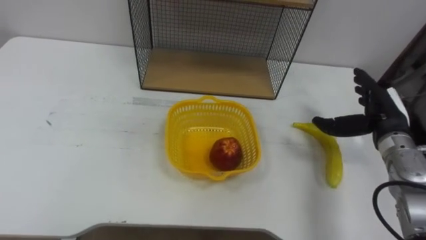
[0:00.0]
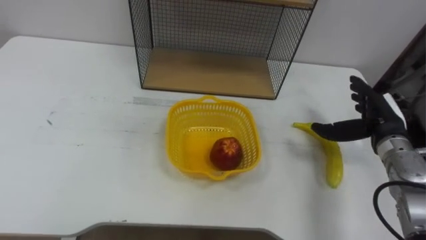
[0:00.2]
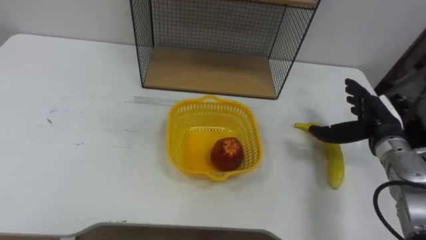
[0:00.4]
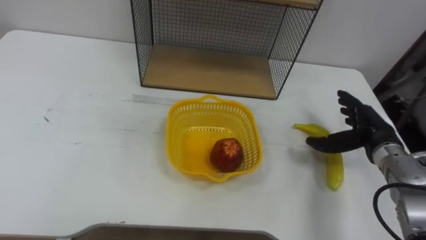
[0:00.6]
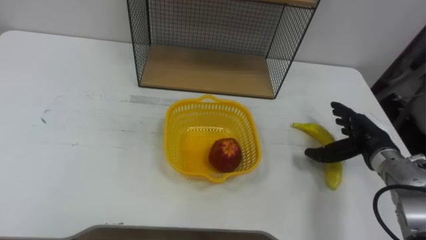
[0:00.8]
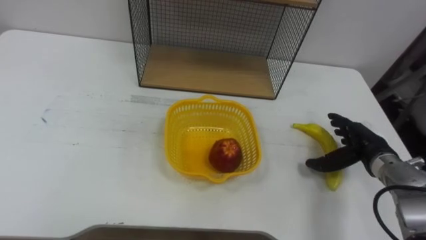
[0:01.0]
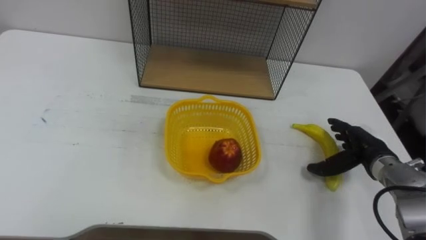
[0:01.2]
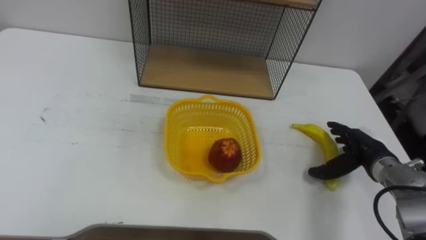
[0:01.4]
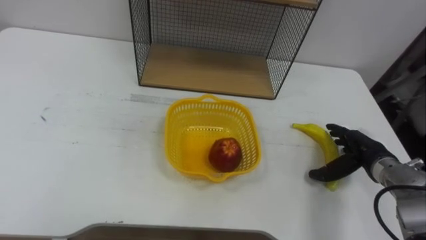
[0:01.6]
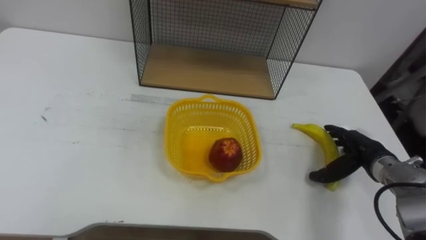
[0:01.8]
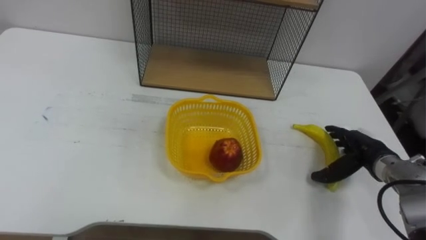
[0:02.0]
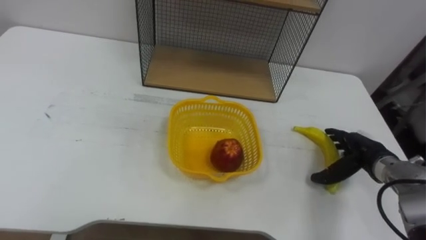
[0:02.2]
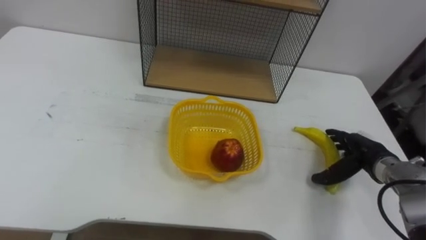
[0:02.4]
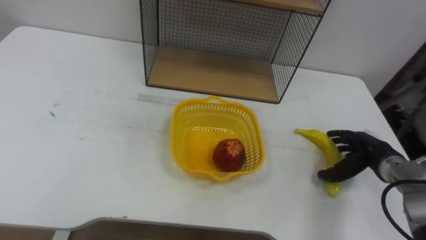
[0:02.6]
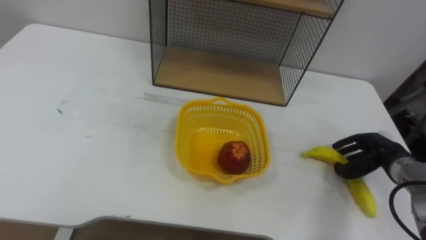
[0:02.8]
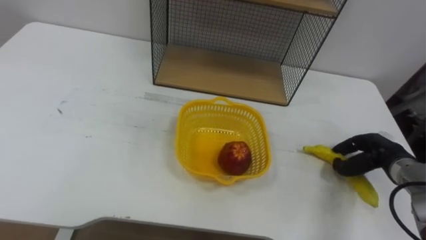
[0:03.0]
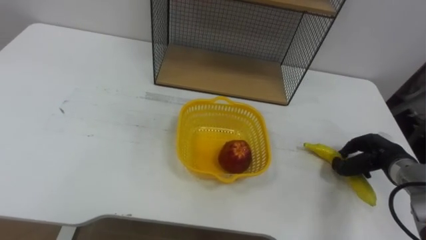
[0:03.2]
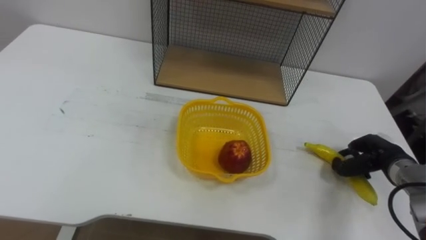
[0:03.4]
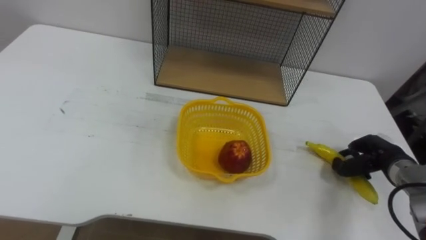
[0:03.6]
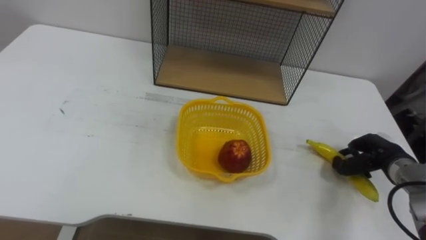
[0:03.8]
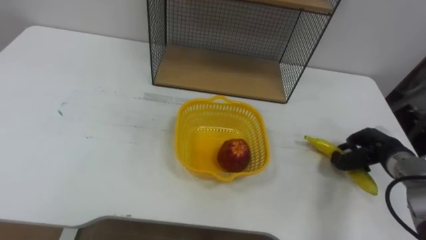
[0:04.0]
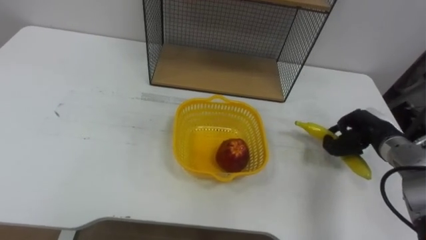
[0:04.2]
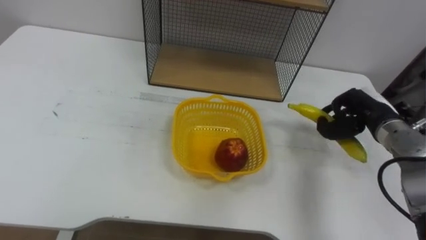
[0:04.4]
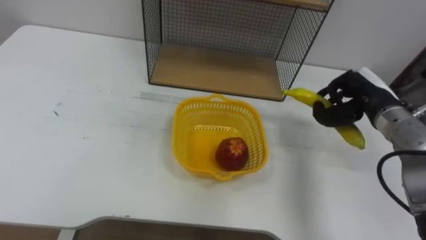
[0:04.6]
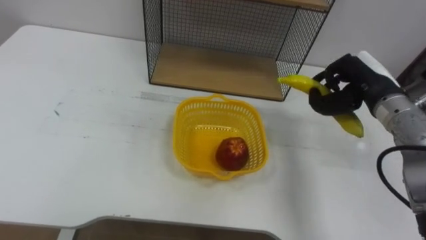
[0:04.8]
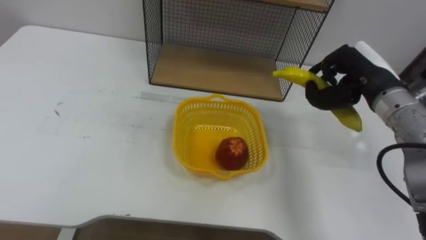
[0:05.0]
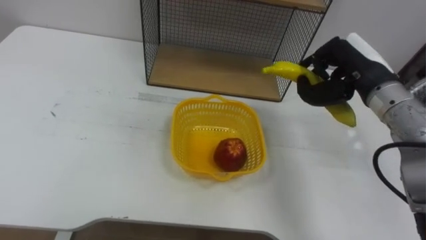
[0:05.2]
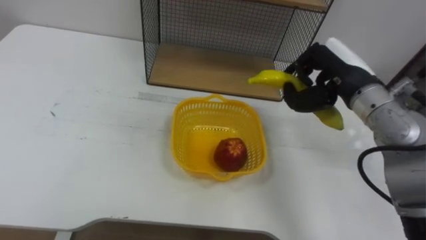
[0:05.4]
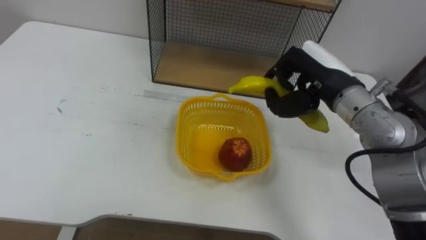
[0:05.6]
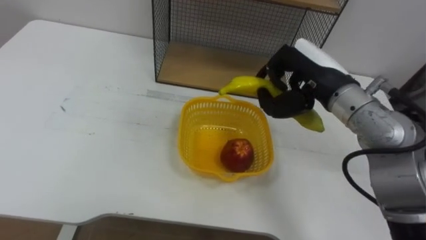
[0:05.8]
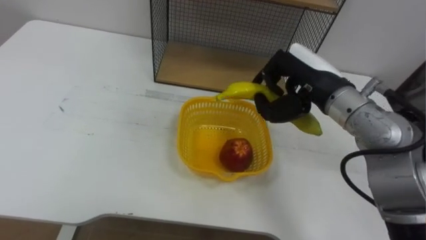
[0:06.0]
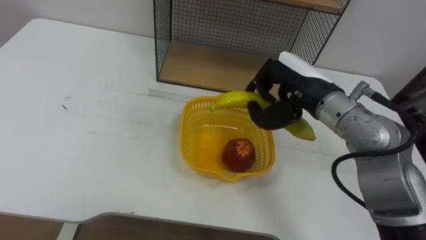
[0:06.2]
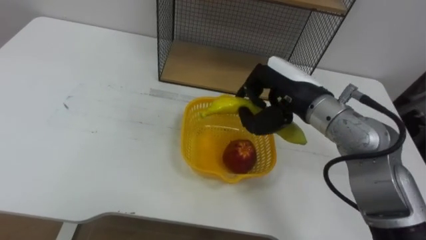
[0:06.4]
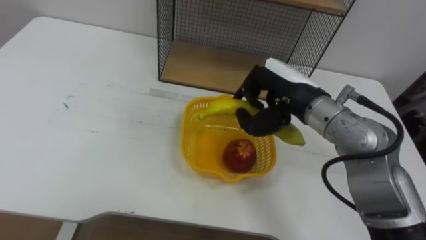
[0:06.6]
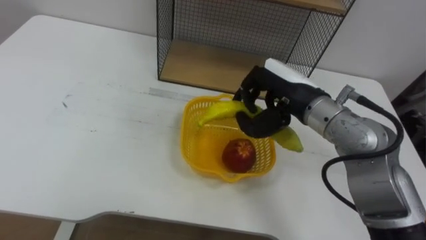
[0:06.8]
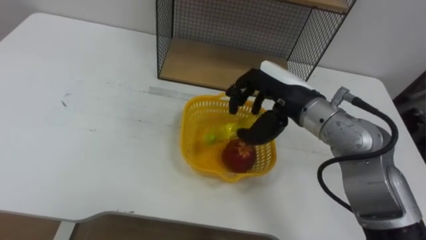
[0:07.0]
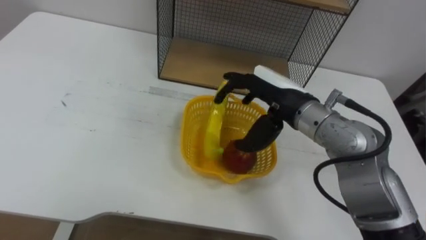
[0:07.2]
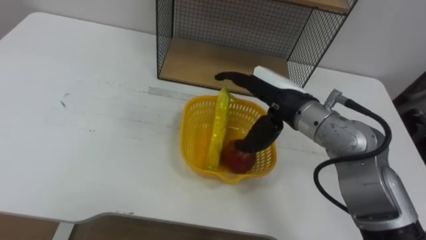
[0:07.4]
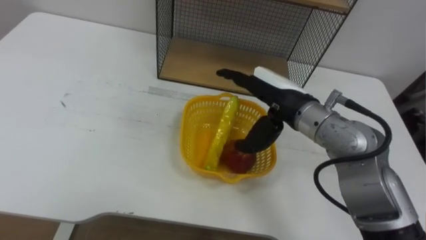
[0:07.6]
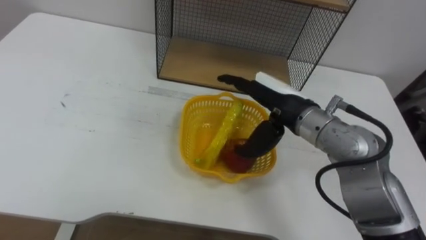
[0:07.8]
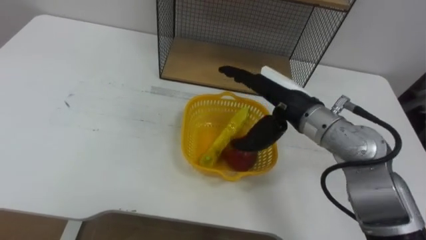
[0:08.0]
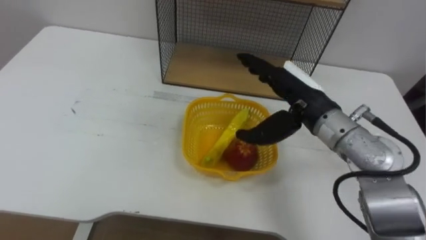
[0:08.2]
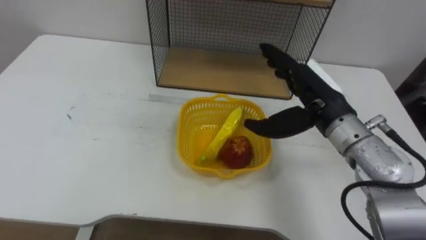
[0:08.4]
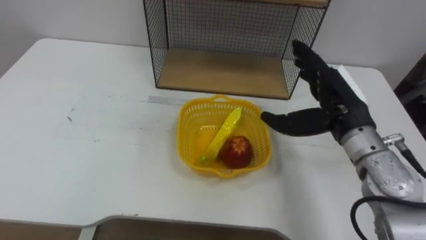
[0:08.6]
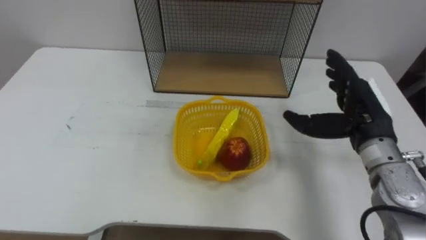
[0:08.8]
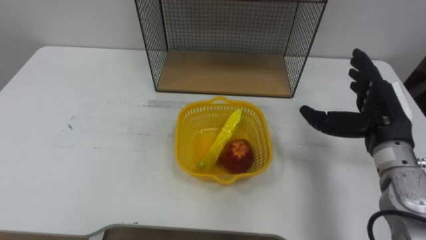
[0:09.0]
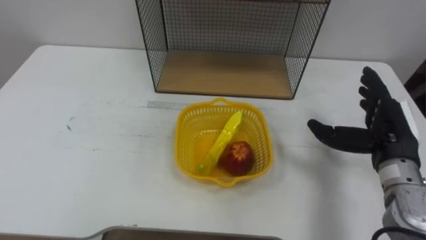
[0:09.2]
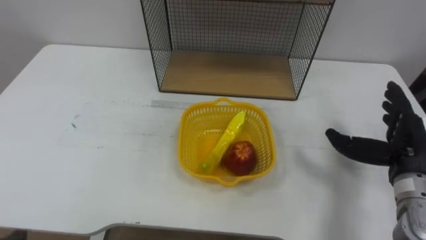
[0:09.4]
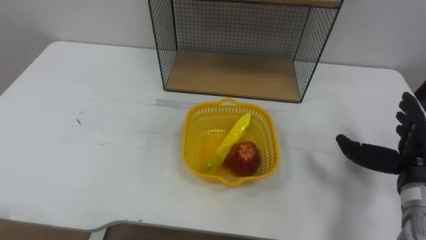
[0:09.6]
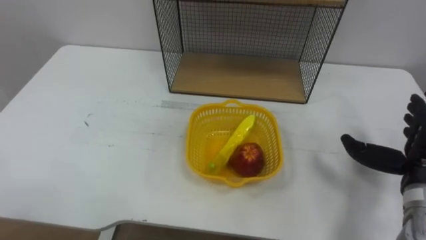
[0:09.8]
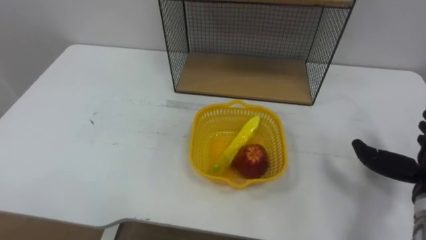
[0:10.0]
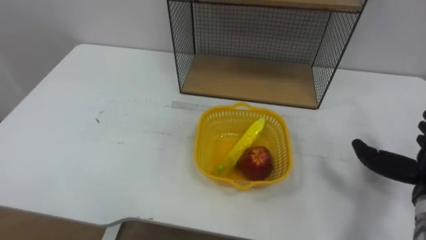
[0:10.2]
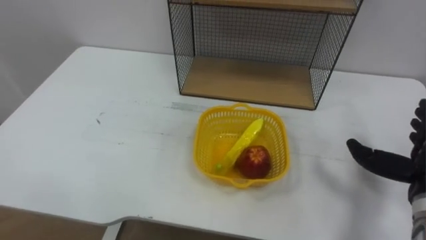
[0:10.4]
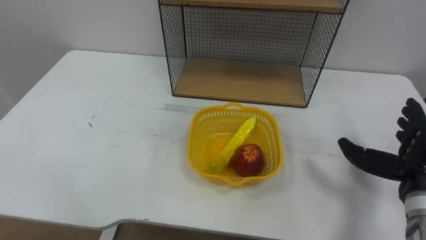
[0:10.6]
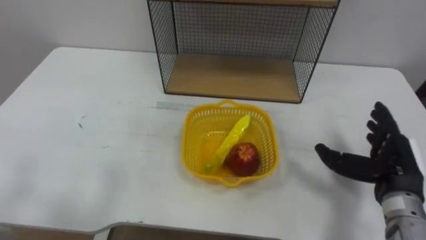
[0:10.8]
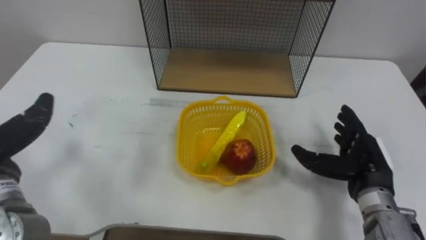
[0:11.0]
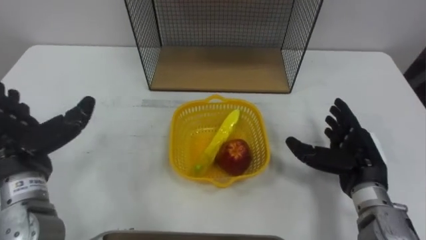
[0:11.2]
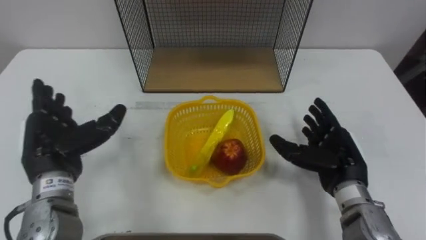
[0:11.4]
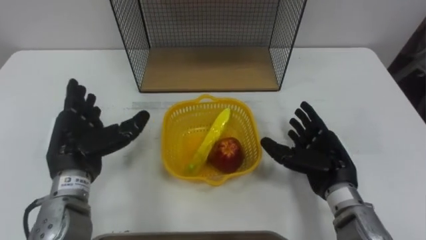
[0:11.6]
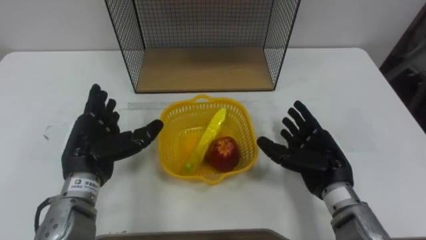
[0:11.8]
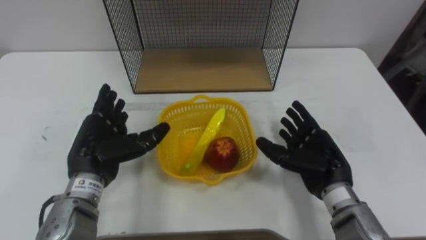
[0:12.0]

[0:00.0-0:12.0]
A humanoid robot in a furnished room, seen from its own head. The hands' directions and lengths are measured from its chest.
Task of the whole recording: Put the fruit on the table into the basket, then place the basket on the shelf.
0:00.0 to 0:01.6: The right hand moves downward, approximately 10 cm.
0:01.6 to 0:03.0: The right hand closes.
0:03.0 to 0:04.4: The right hand moves upward, roughly 10 cm.
0:04.4 to 0:06.0: The right hand goes approximately 15 cm to the left and upward.
0:06.0 to 0:07.6: The right hand changes place by some 5 cm, and opens up.
0:07.6 to 0:09.0: The right hand heads to the right, covering approximately 15 cm.

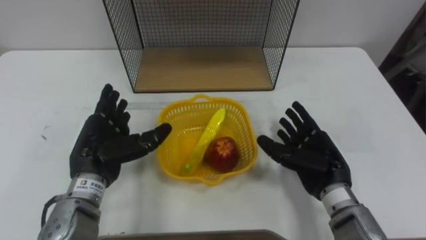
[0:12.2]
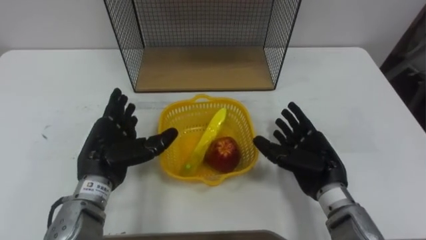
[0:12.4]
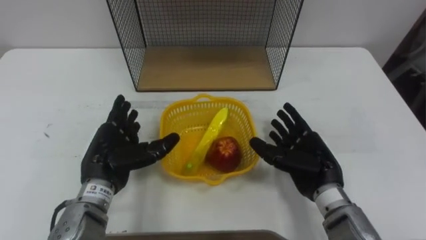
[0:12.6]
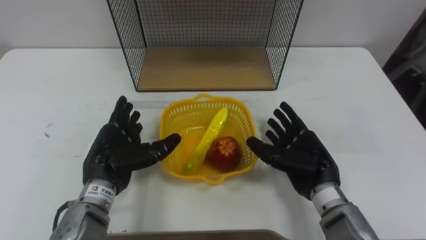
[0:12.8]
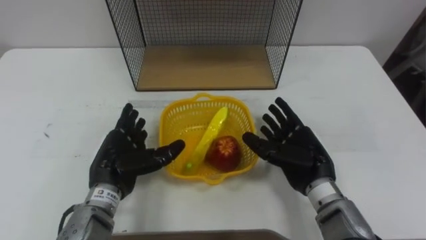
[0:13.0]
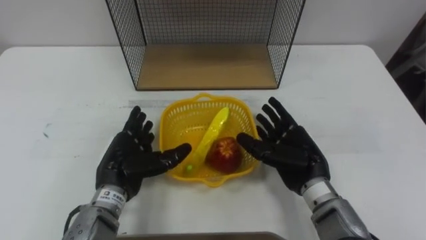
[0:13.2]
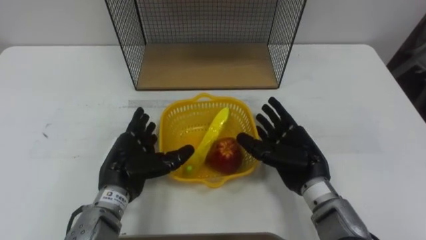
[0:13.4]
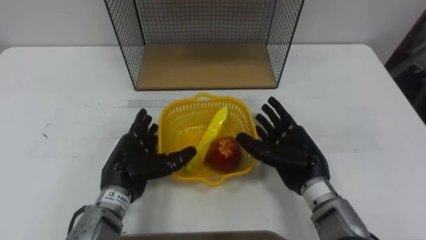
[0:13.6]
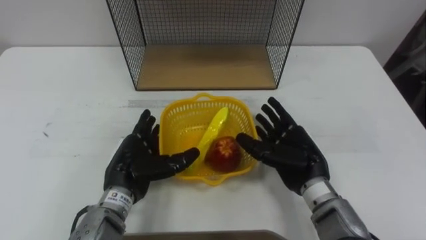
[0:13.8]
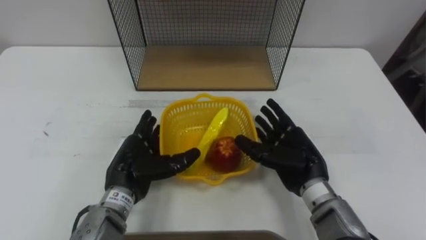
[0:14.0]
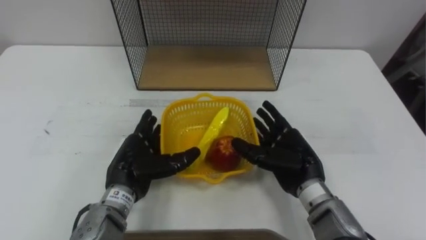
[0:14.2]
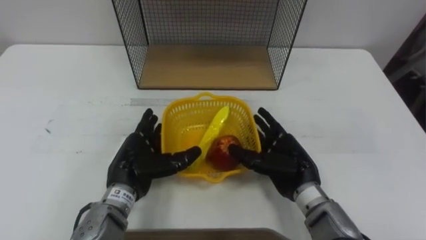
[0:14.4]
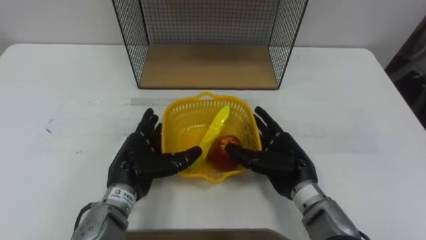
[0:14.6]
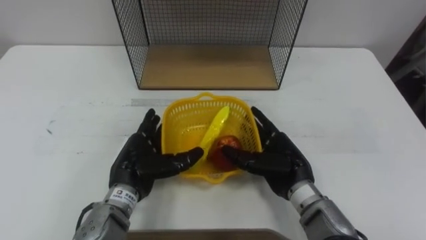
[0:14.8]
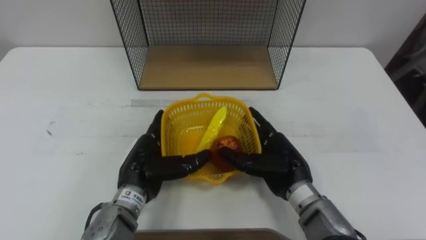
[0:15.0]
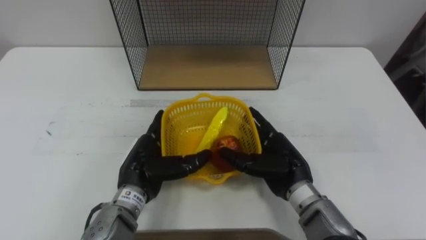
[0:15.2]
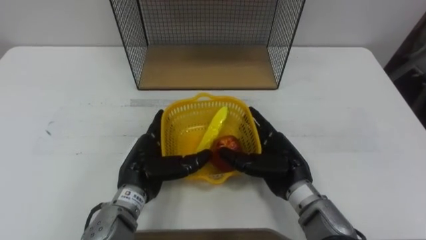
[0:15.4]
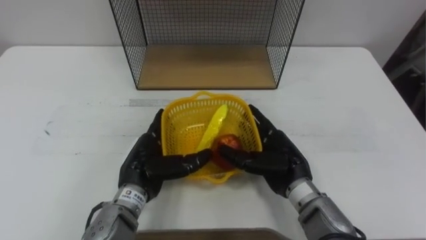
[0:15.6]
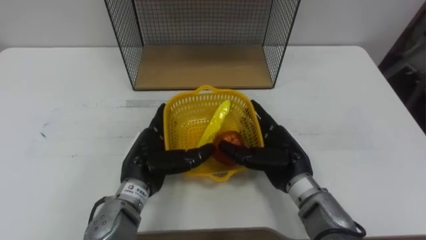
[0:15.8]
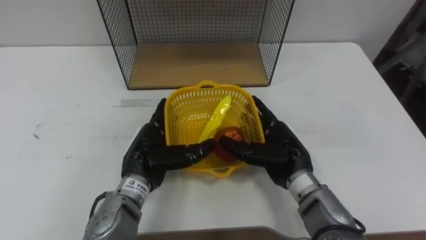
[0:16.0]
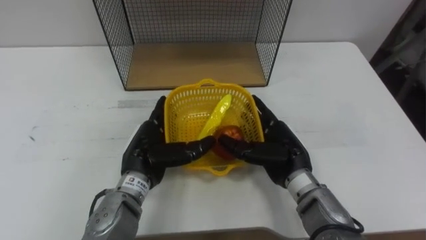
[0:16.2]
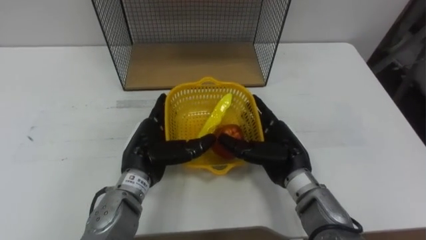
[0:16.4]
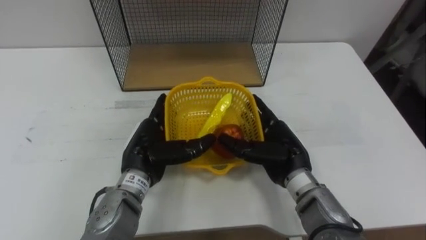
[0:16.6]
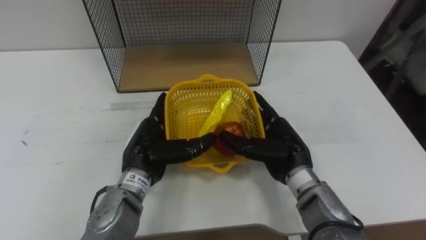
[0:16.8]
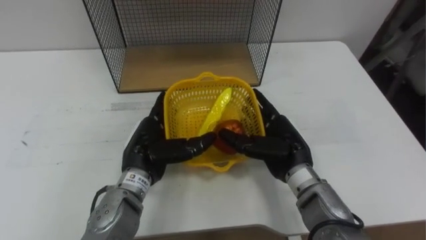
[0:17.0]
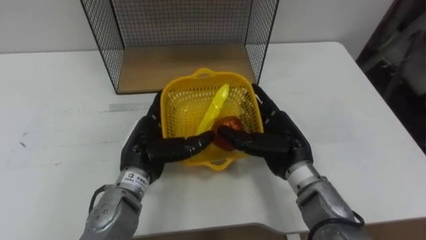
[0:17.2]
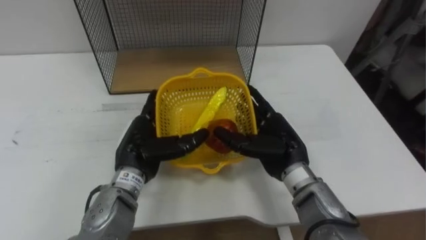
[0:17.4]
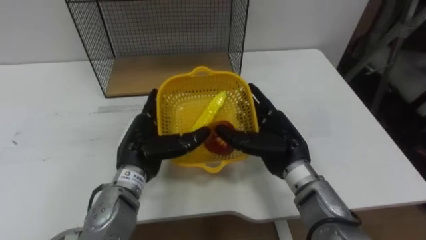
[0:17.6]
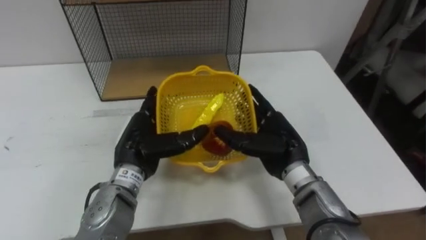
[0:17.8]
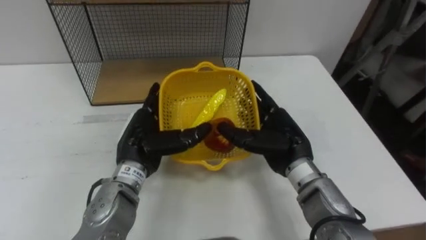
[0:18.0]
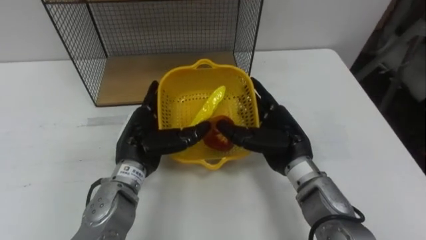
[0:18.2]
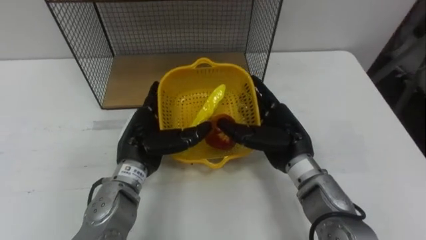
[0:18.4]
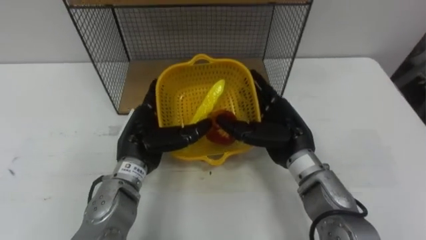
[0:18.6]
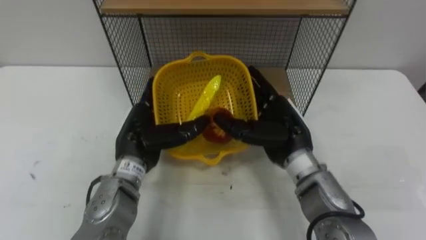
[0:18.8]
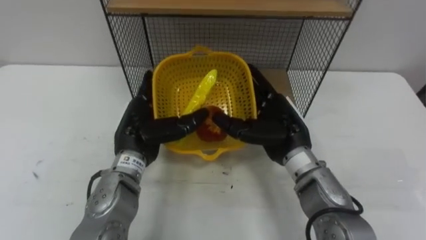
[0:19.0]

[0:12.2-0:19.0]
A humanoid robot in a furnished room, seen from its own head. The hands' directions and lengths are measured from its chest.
Task of the whole recording: Put the fruit on the table into the basket, then place the basket on the shelf.
0:12.2 to 0:13.6: The left hand moves some 5 cm.
0:13.6 to 0:15.0: The hands move only a little.
